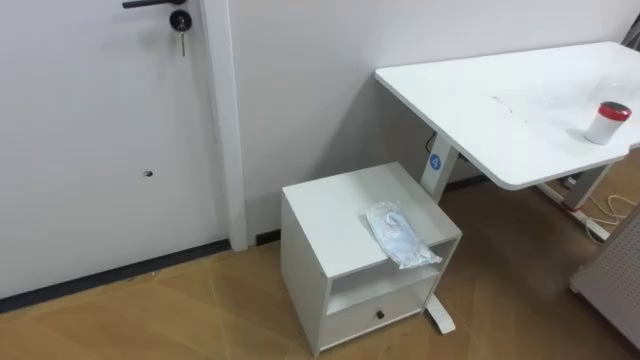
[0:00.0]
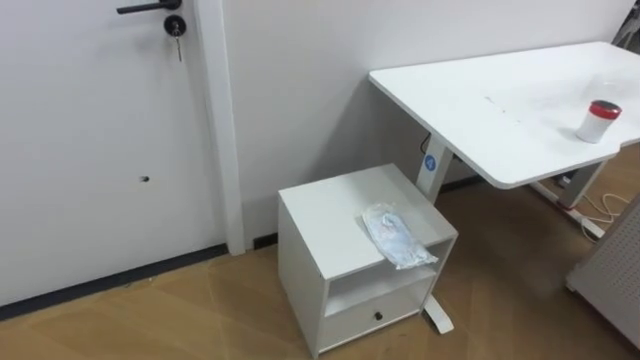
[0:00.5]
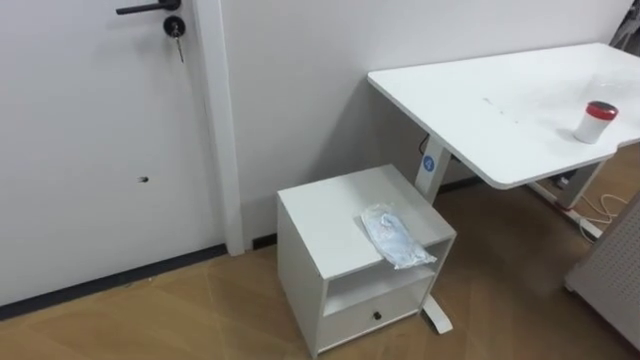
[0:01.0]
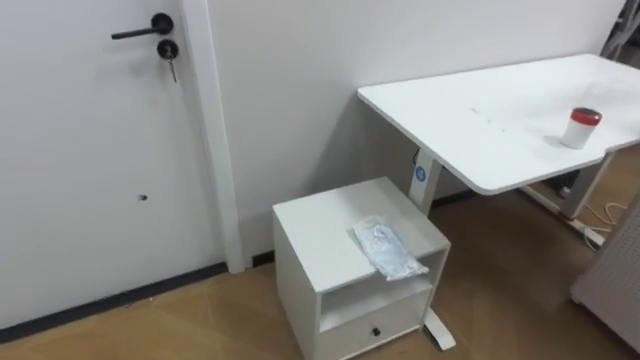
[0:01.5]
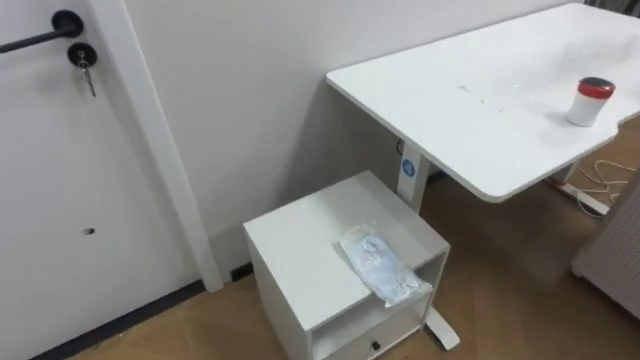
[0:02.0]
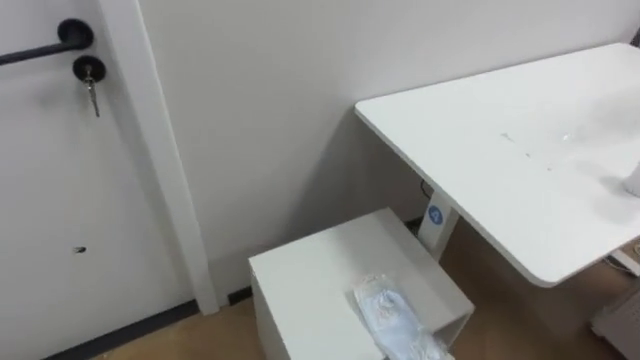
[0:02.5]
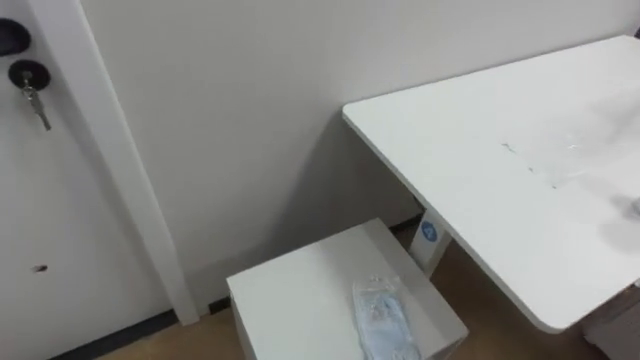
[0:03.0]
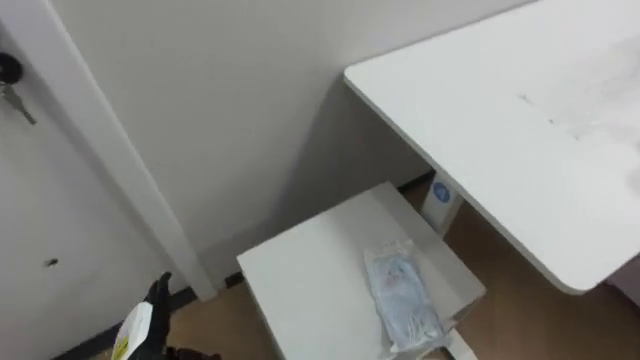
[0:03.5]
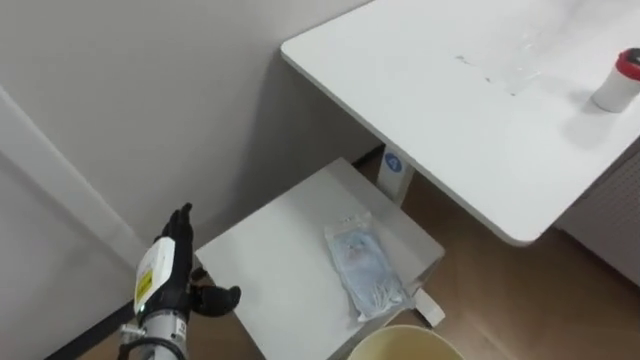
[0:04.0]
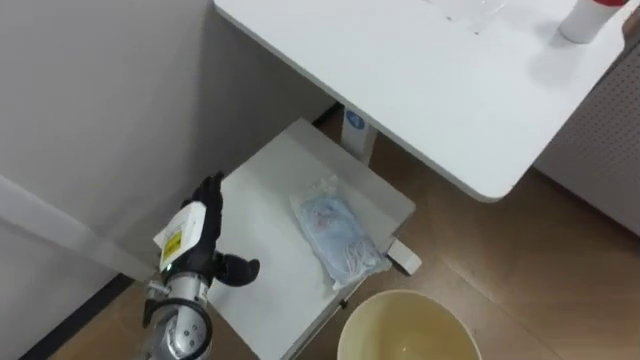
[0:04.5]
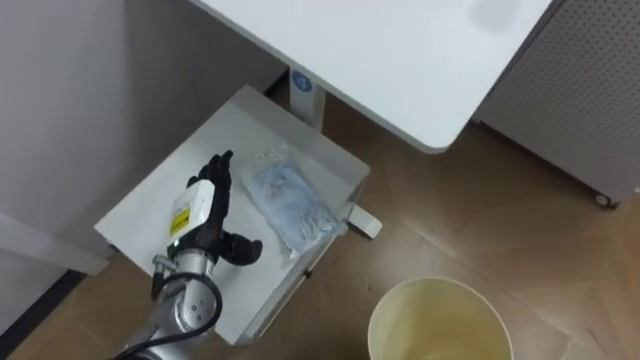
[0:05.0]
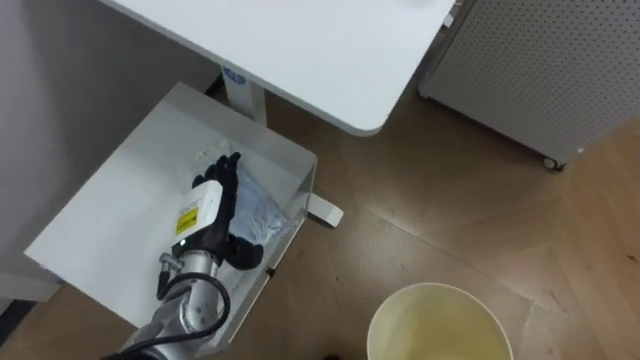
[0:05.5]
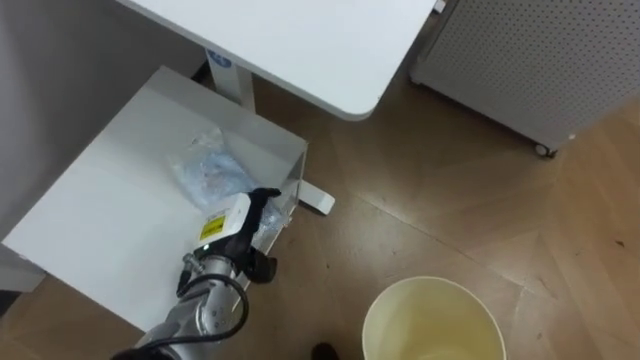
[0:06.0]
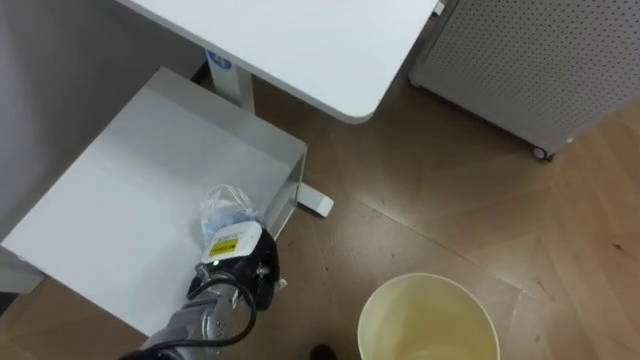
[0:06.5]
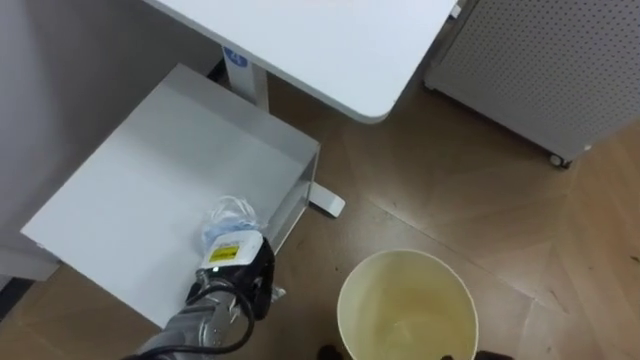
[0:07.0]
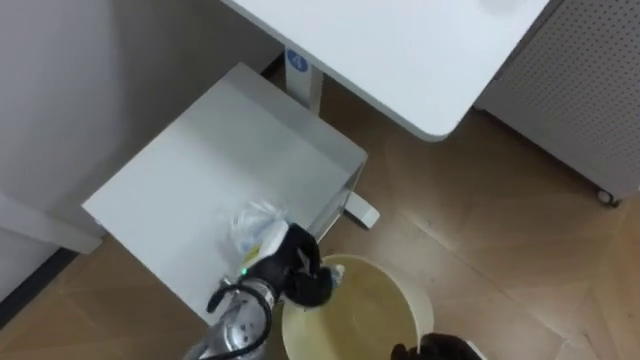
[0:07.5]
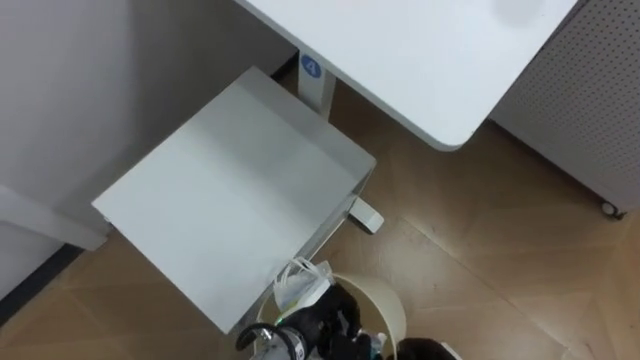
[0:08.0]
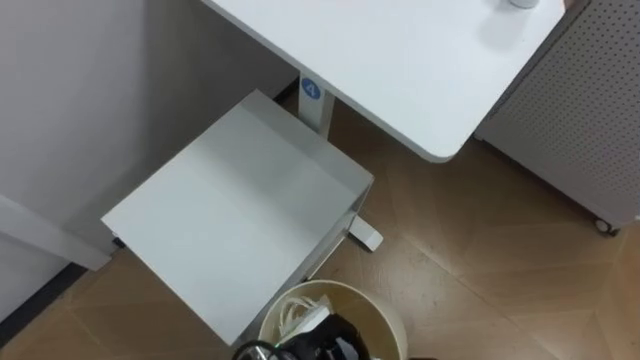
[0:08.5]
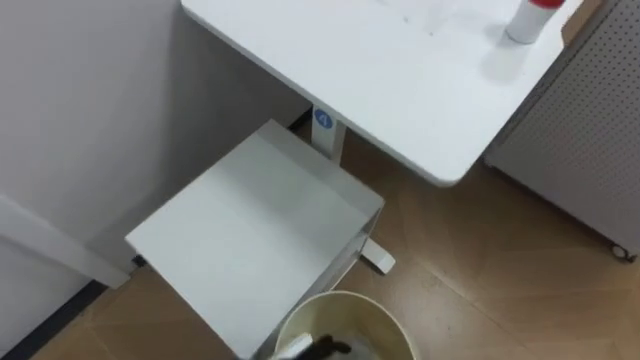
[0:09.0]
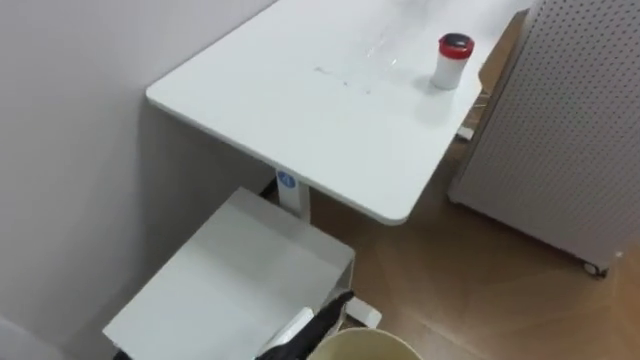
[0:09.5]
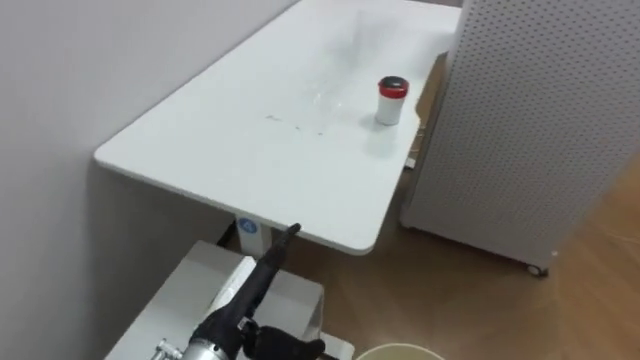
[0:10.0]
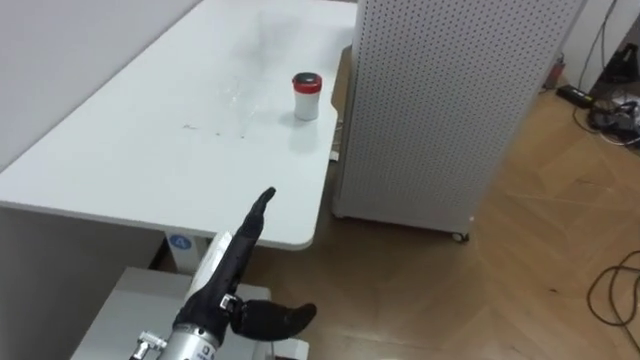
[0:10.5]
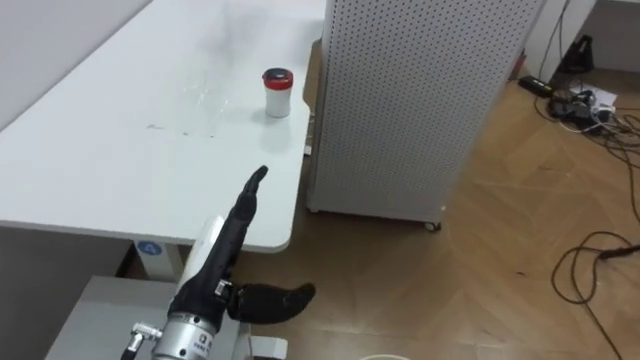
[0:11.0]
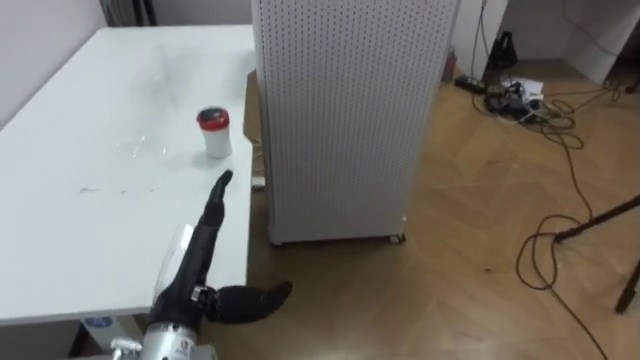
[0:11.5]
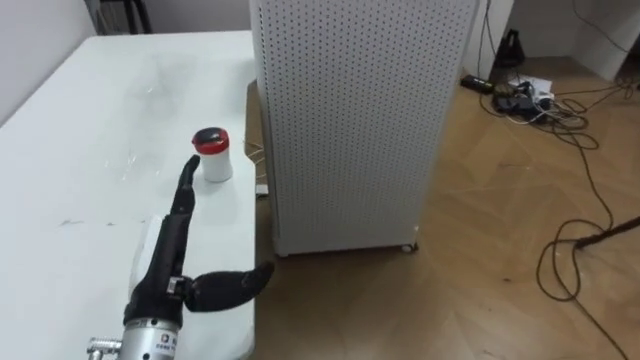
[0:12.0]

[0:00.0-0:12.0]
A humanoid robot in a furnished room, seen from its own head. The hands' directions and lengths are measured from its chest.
Task of the whole recording: Pick up the light blue package, the candy box, and the dark blue package separately, and put them into the trash can held in your right hand.
0:04.0 to 0:06.0: The left hand heads to the right and forward, covering about 10 cm.
0:06.0 to 0:08.0: The left hand shifts some 15 cm to the right, backward and downward, and closes its fingers.
0:10.0 to 0:12.0: The robot's body swings roughly 40 degrees to its right. The left hand travels to the left and upward by some 10 cm.

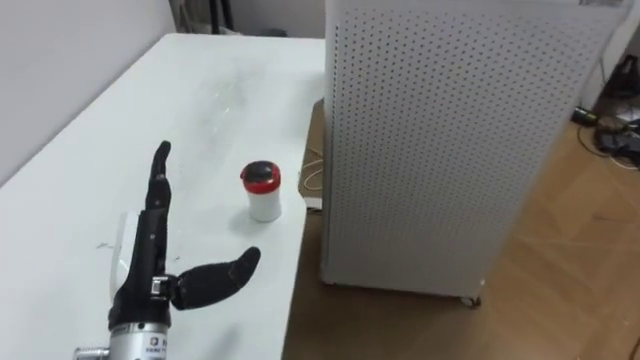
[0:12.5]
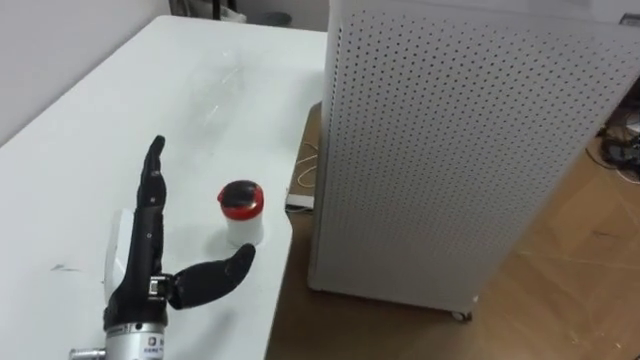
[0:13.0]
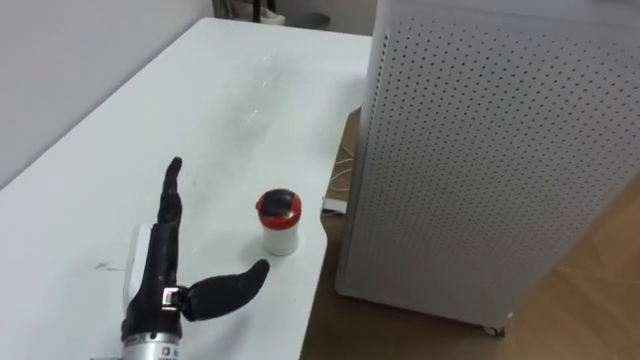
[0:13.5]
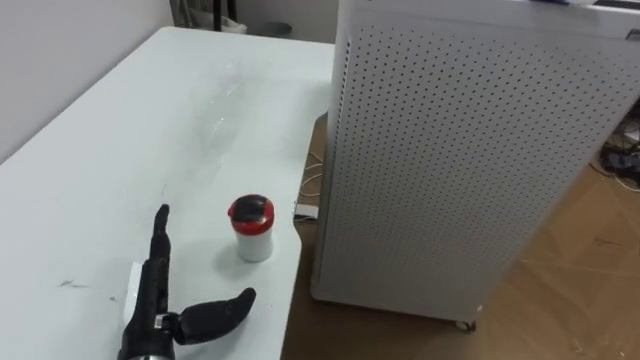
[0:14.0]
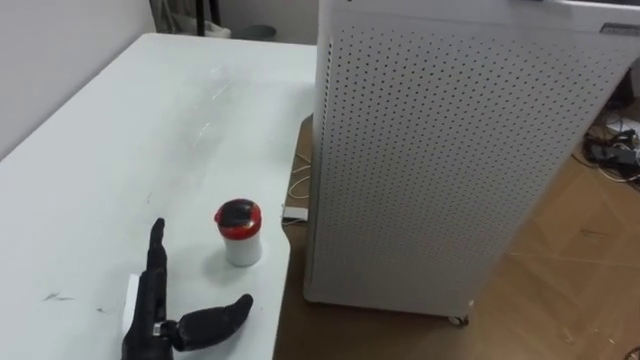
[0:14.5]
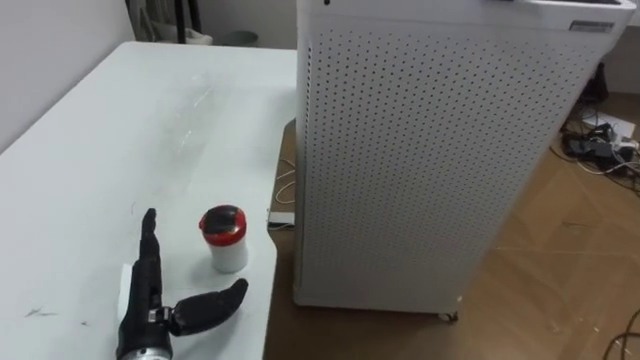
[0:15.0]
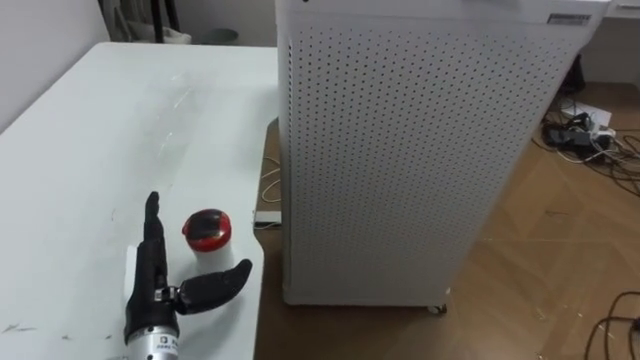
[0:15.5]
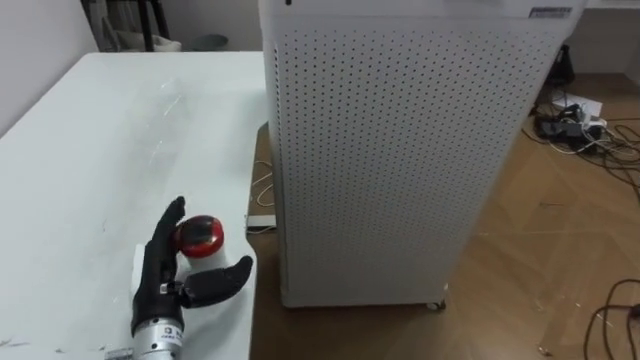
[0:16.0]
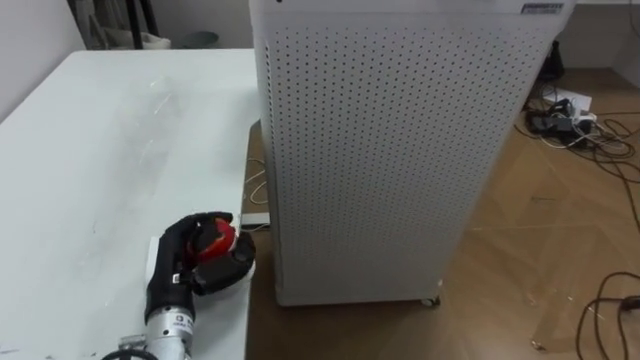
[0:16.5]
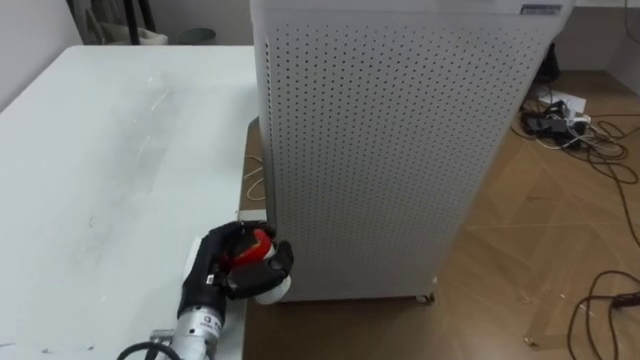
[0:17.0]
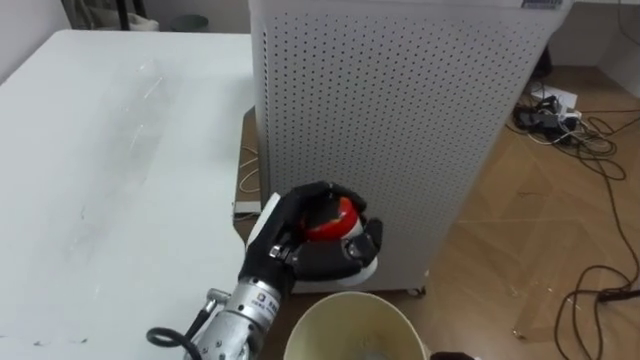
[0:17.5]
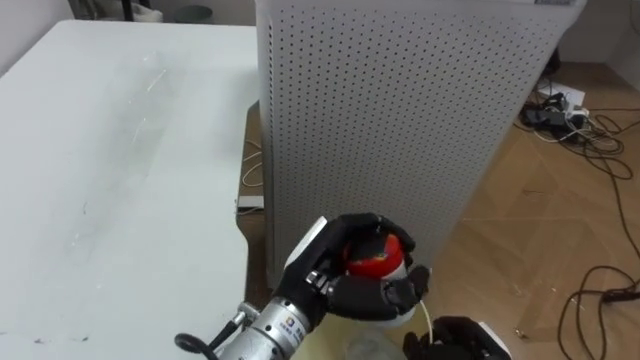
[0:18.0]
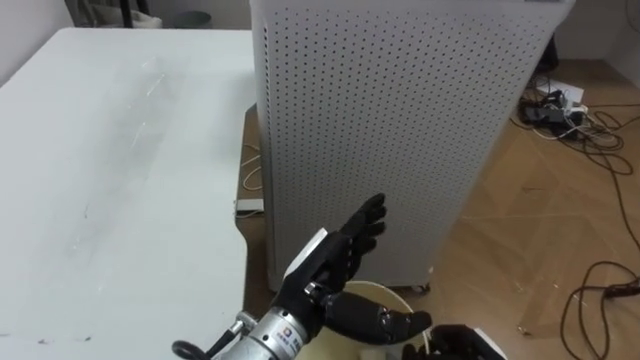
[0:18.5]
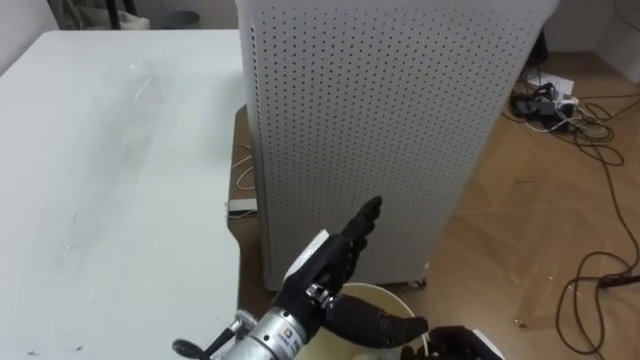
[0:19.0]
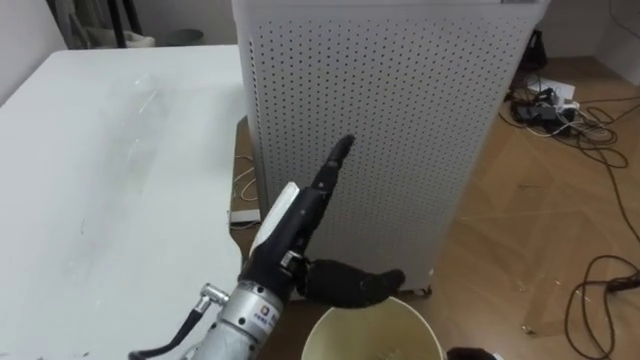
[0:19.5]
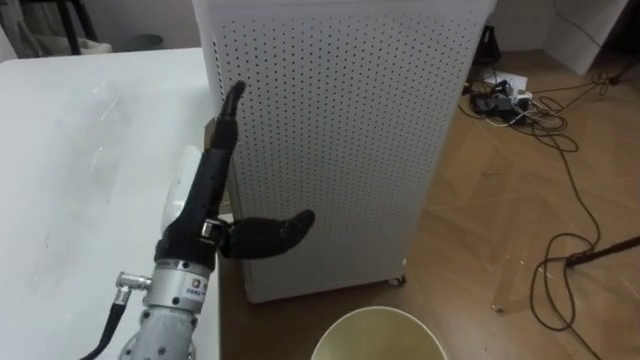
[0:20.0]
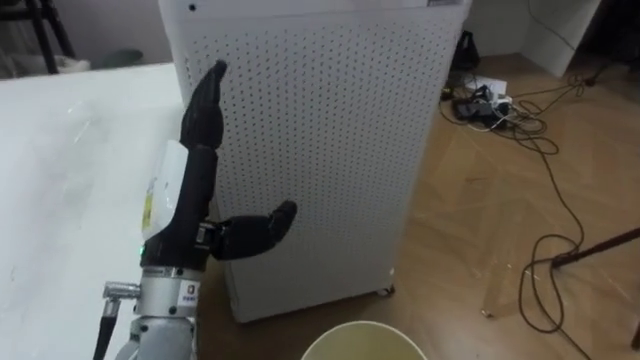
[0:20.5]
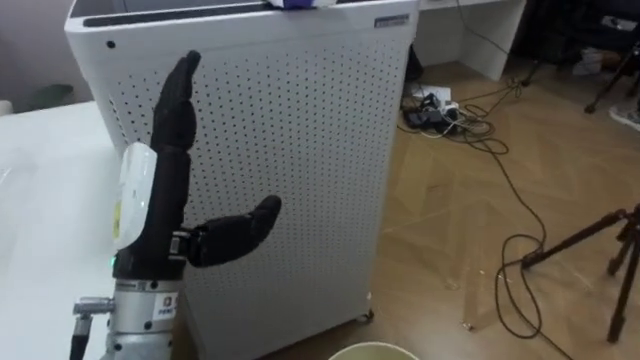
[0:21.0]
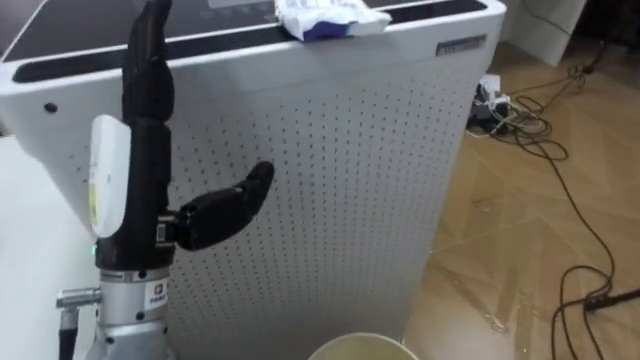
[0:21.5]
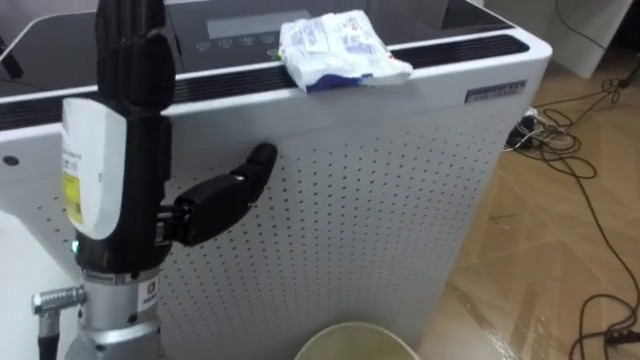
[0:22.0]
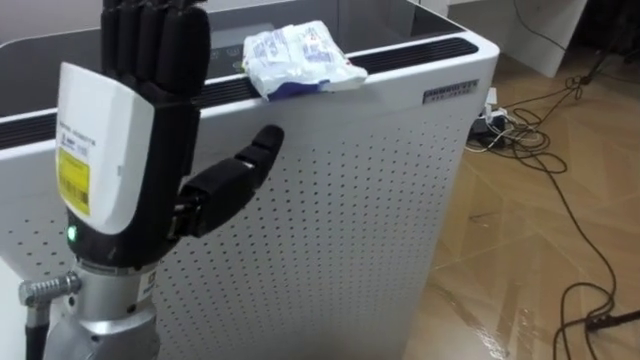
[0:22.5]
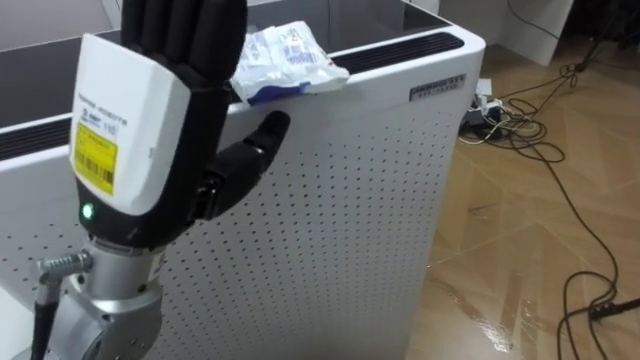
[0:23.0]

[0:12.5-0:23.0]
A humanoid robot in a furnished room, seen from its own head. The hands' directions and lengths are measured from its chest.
Task of the whole recording: Pick up the light blue package, the candy box, and the dark blue package separately, and put them into the trash can held in your right hand.
0:12.5 to 0:14.5: The left hand heads downward, covering approximately 10 cm.
0:14.5 to 0:16.5: The left hand heads forward, covering roughly 5 cm, and closes.
0:16.5 to 0:19.0: The left hand shifts about 20 cm to the right, and opens its fingers.
0:19.0 to 0:21.0: The left hand moves to the left and upward, approximately 20 cm.
0:21.0 to 0:23.0: The left hand shifts approximately 10 cm upward.
